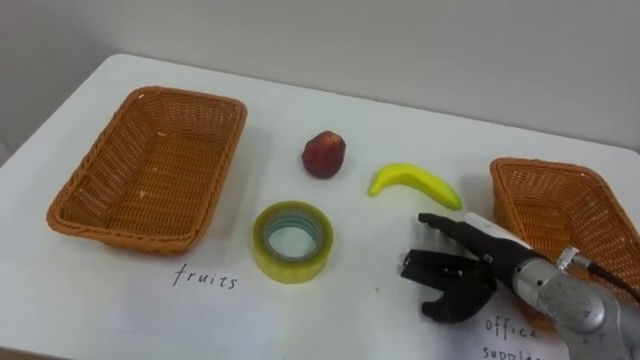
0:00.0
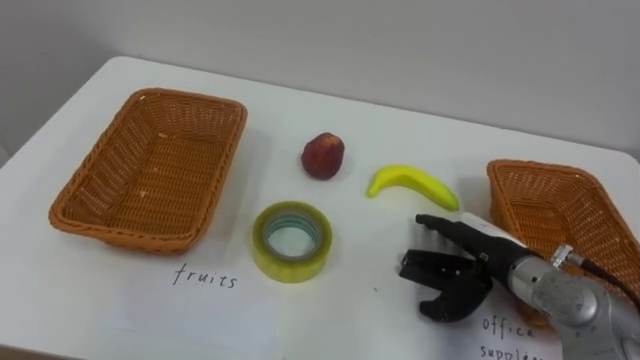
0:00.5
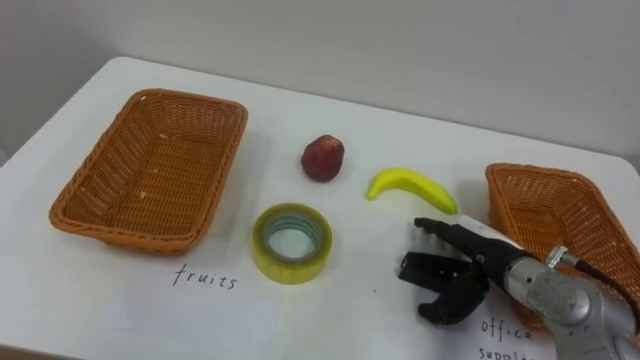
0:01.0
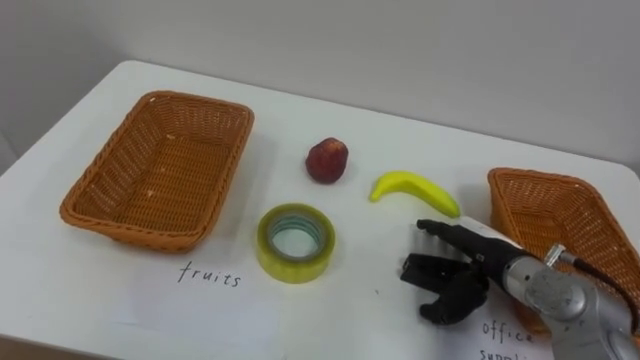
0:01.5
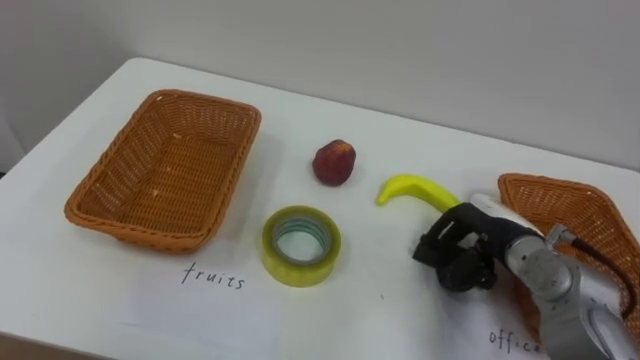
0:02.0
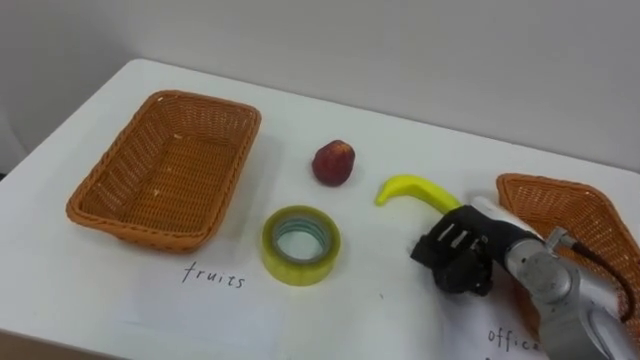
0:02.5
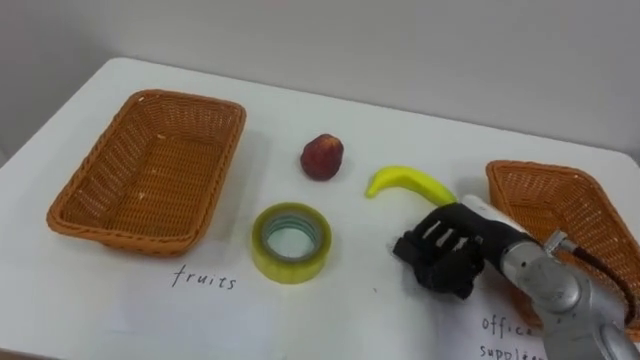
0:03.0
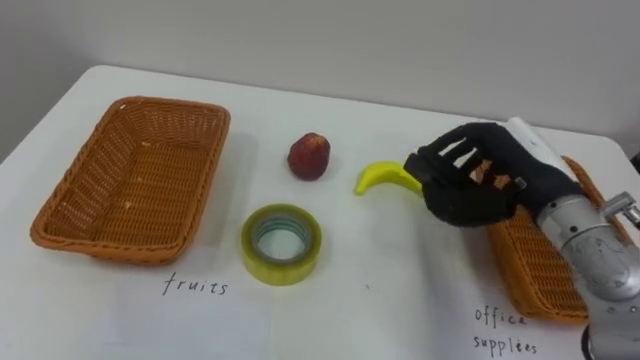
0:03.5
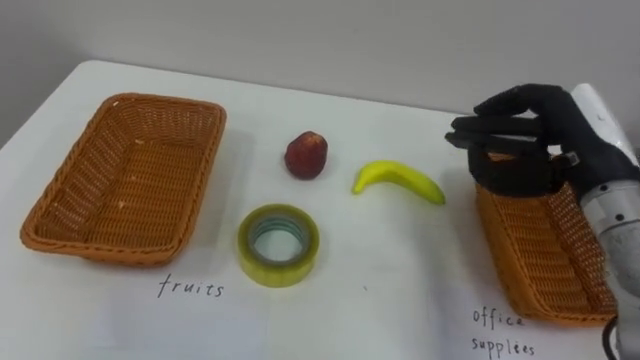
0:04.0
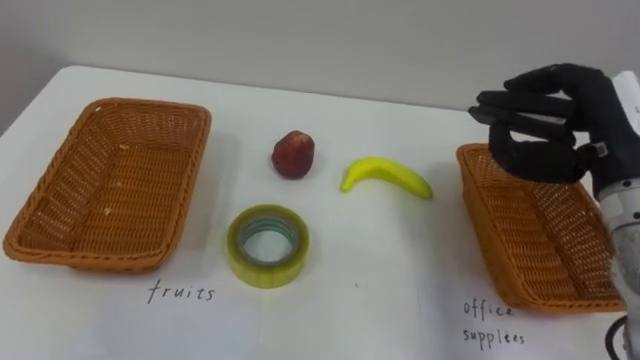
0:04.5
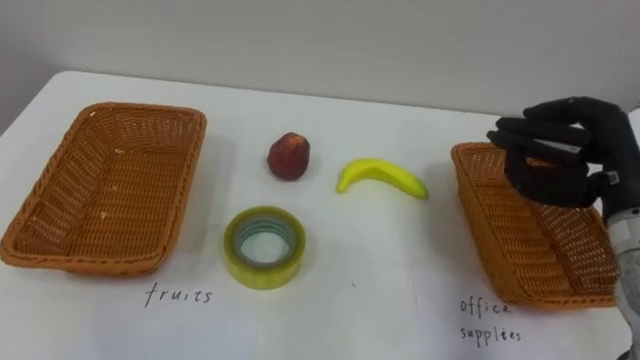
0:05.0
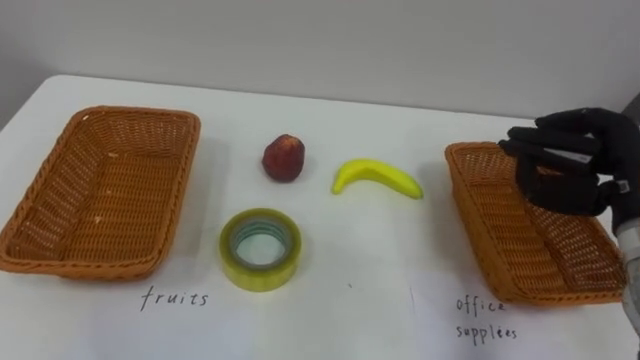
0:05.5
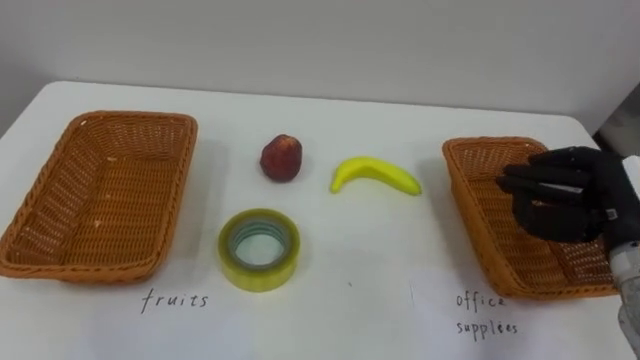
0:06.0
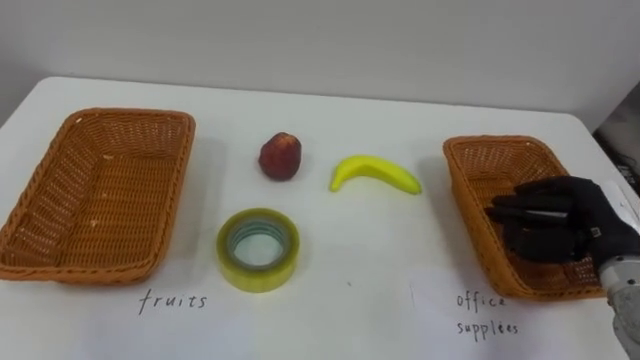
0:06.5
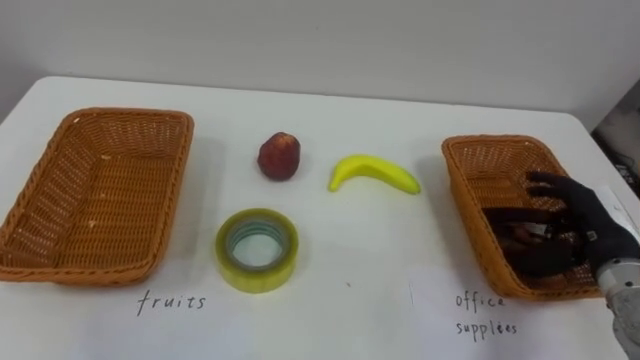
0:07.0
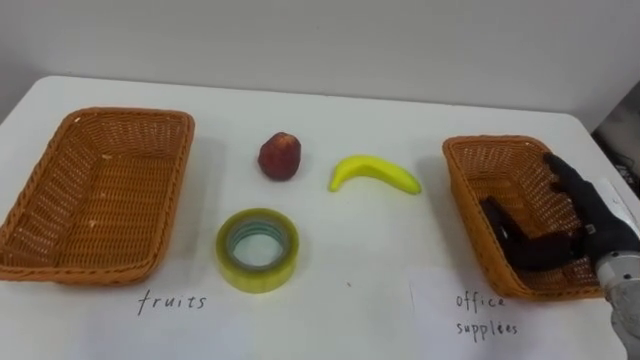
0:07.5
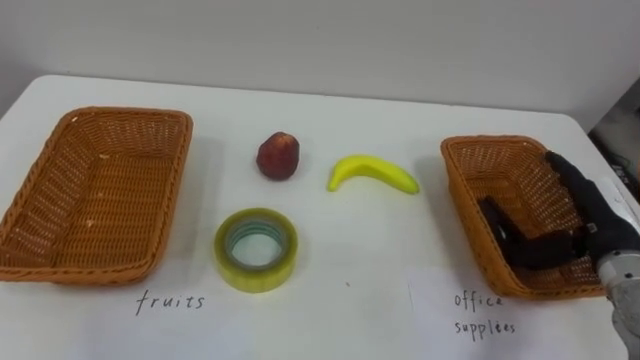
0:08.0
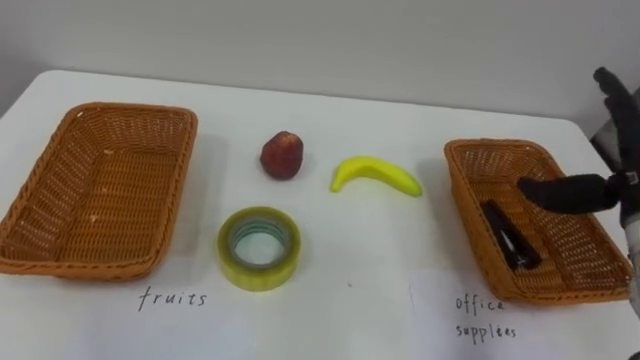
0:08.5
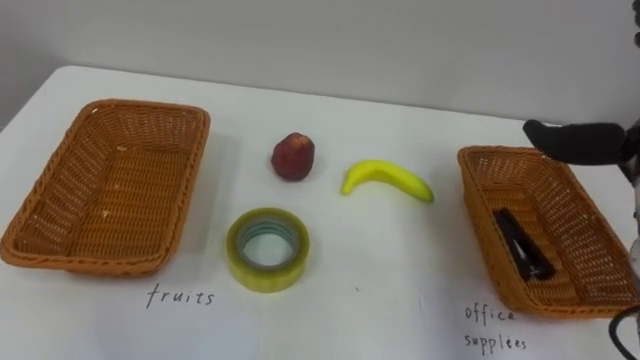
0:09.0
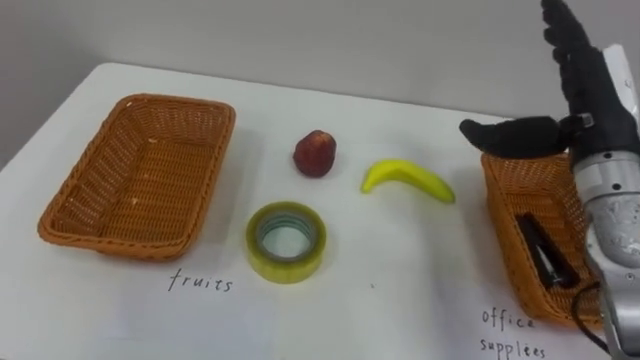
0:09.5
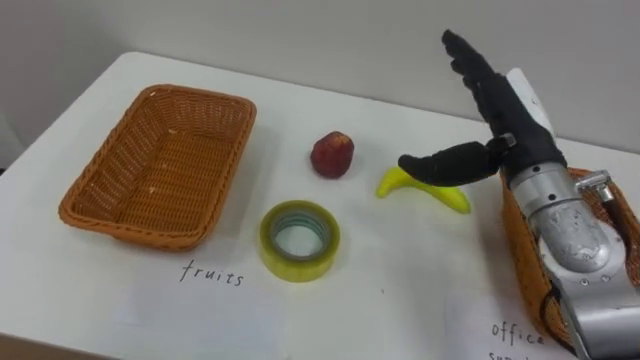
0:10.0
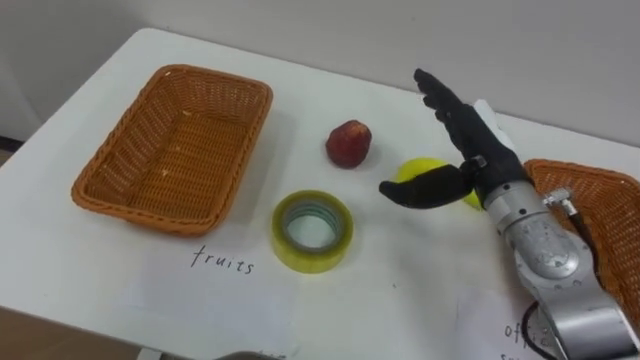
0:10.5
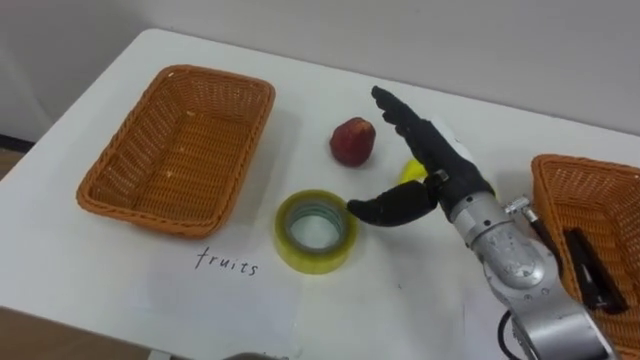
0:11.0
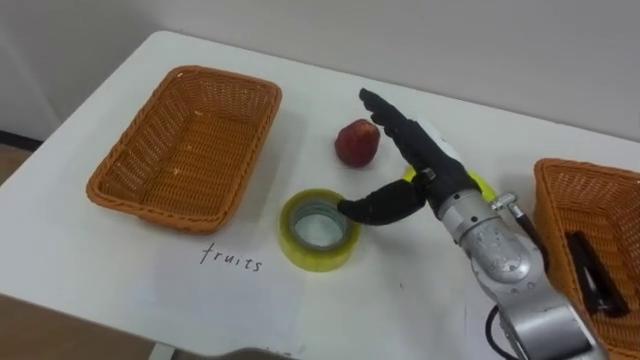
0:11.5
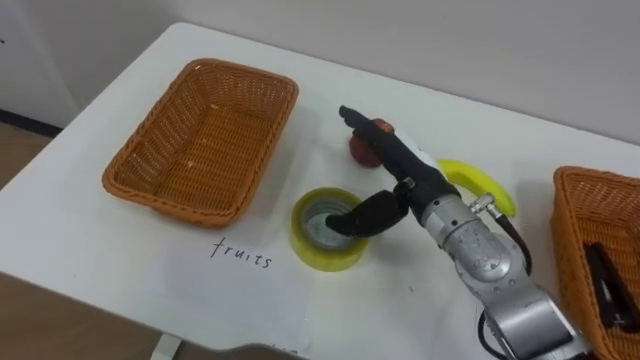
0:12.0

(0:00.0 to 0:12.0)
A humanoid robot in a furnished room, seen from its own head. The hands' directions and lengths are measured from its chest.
Task of the whole recording: Separate the items on the table and place them into the two baskets.
0:00.0 - 0:02.0: The right hand closes.
0:02.0 - 0:04.0: The right hand moves upward, some 15 cm.
0:04.0 - 0:06.0: The right hand heads downward and to the right, covering approximately 10 cm.
0:06.0 - 0:08.0: The right hand opens.
0:10.0 - 0:12.0: The right hand is displaced to the left and downward by roughly 10 cm.

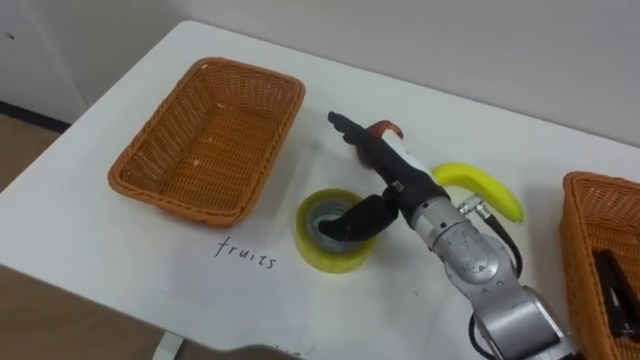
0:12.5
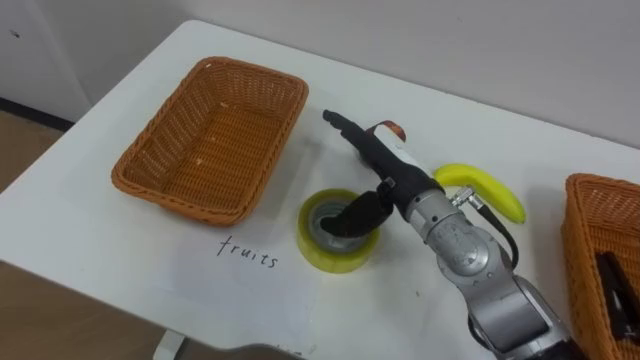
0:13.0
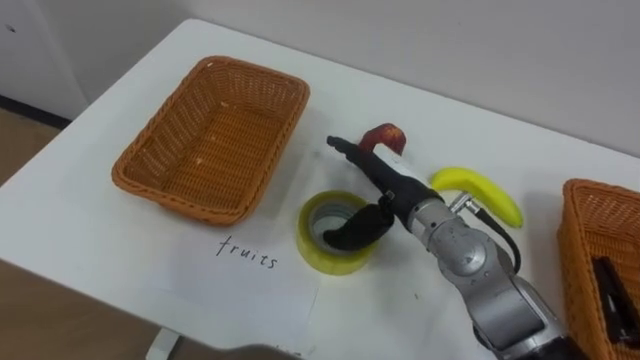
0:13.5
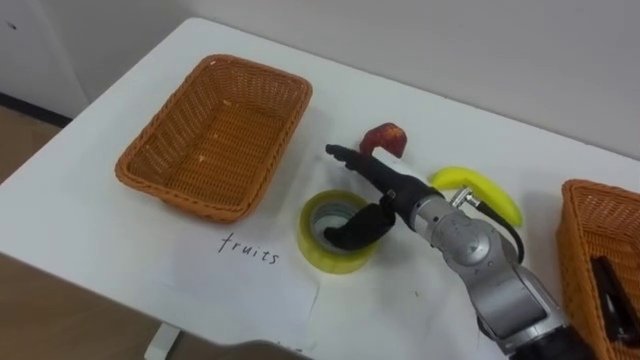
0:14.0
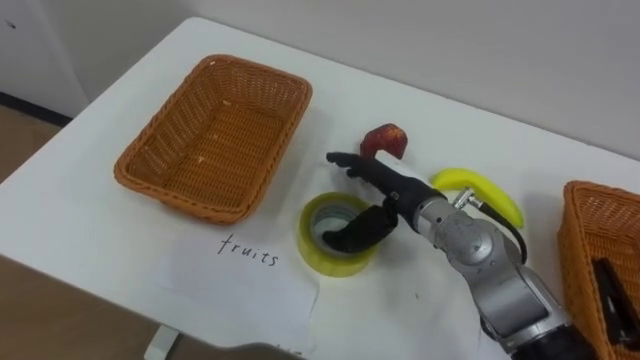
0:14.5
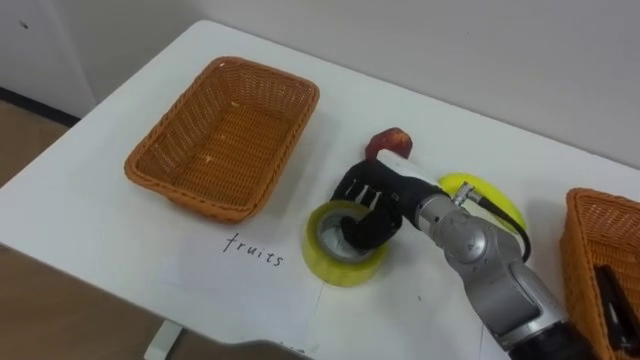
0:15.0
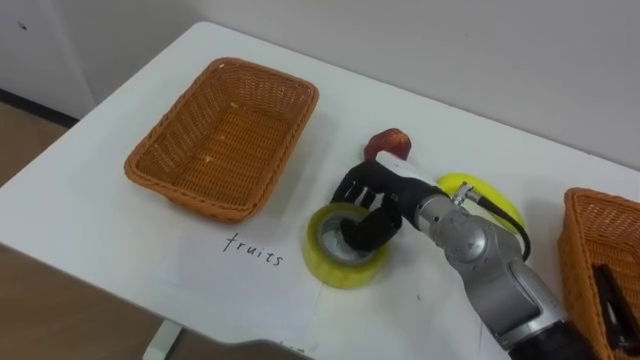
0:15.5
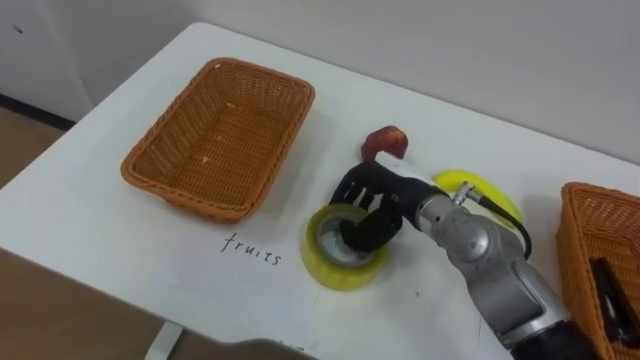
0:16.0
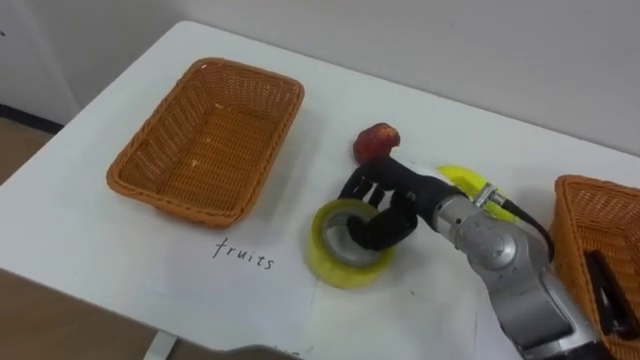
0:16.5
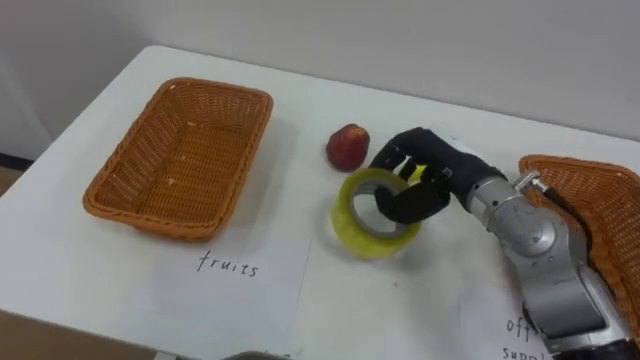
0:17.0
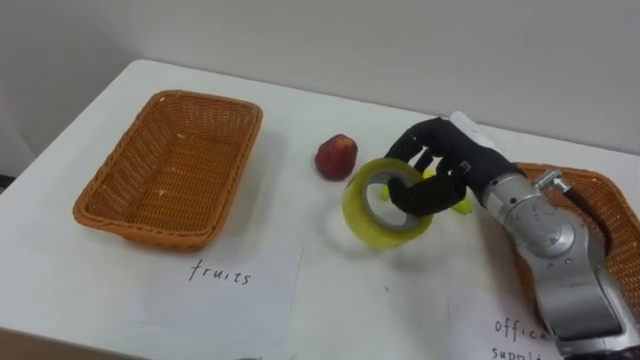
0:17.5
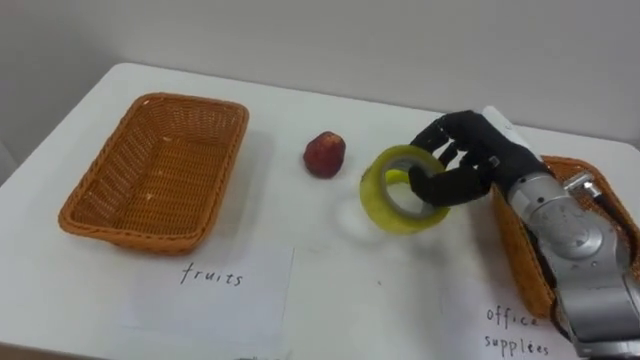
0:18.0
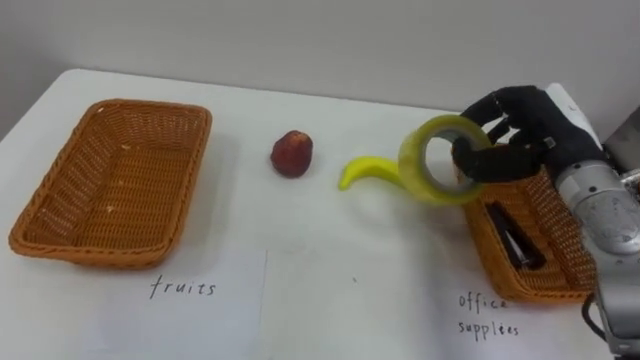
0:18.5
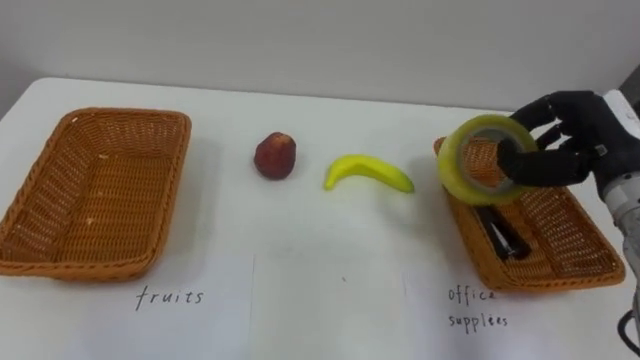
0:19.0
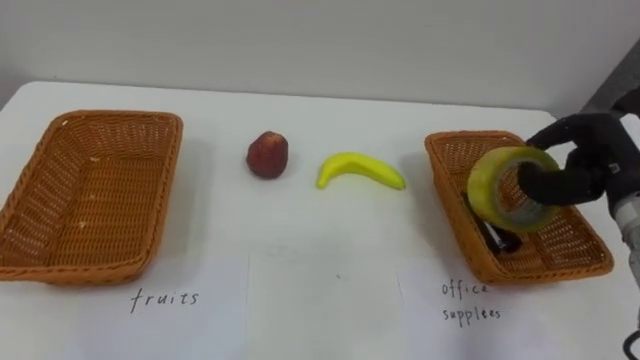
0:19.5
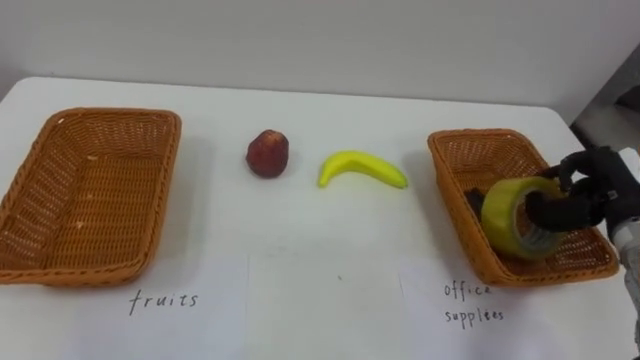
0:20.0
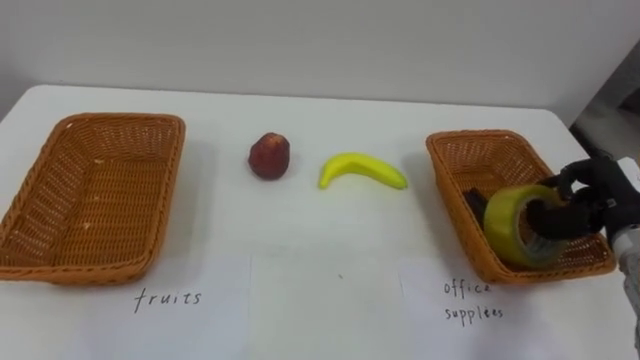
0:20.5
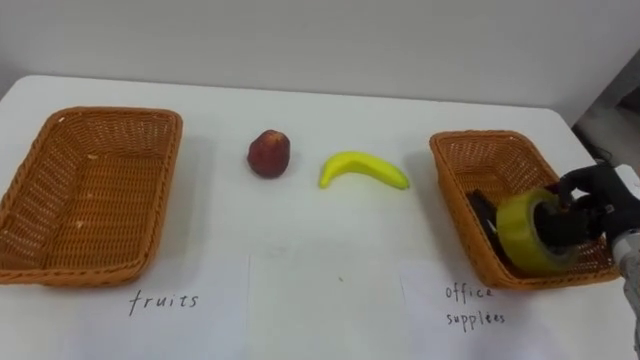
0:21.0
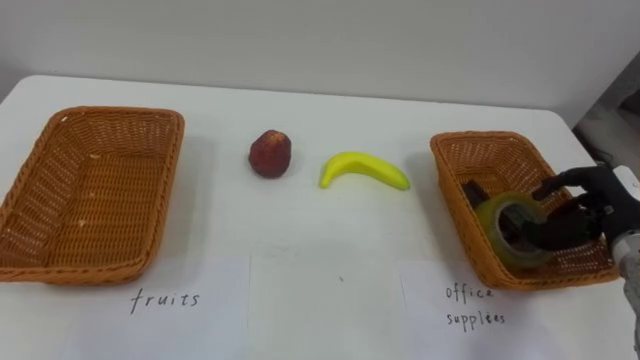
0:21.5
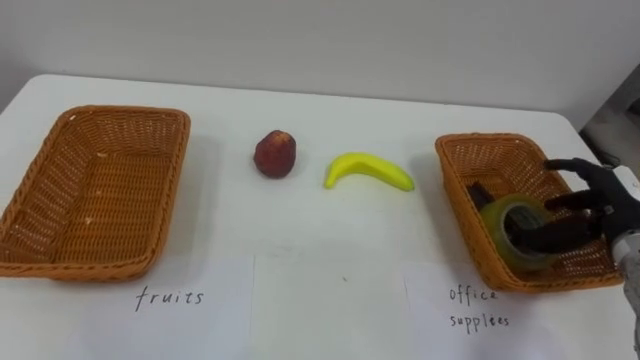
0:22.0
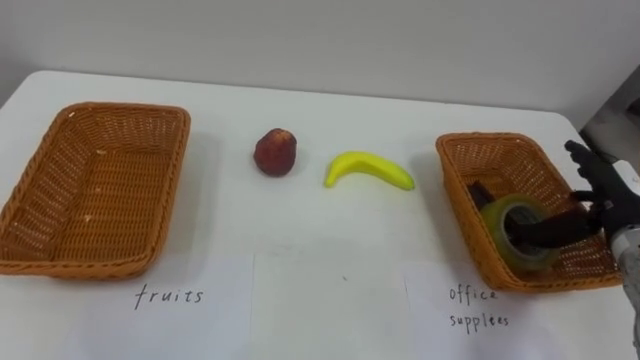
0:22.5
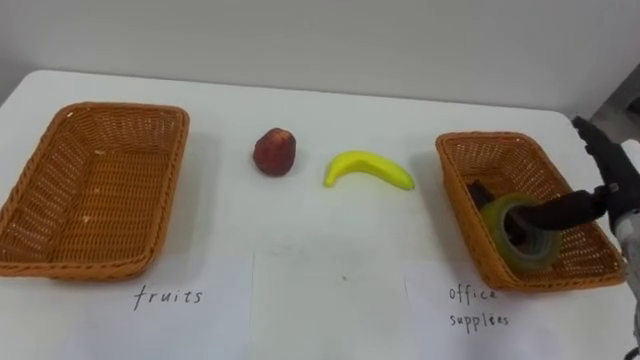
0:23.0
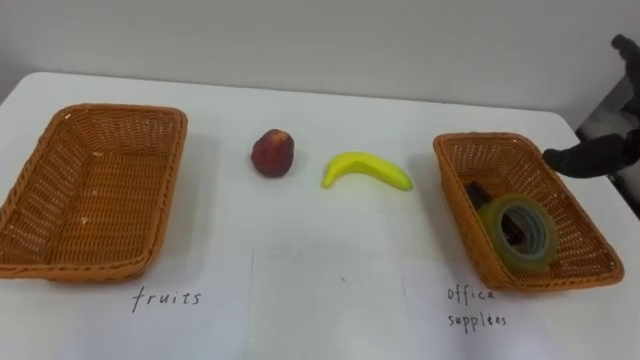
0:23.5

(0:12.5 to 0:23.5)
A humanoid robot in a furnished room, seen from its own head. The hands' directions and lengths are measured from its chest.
Task of the whole recording: Separate the items on the table and place them into the two baskets.
0:14.5 - 0:16.0: The right hand closes its fingers.
0:16.0 - 0:18.0: The right hand moves to the right and upward, some 10 cm.
0:18.0 - 0:20.0: The right hand goes approximately 15 cm to the right.
